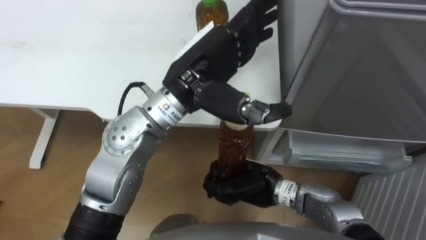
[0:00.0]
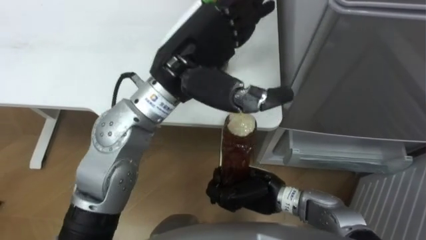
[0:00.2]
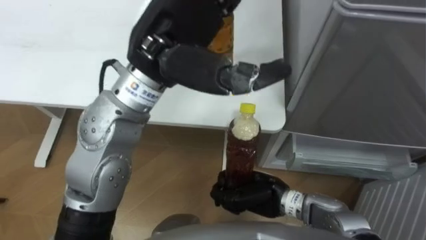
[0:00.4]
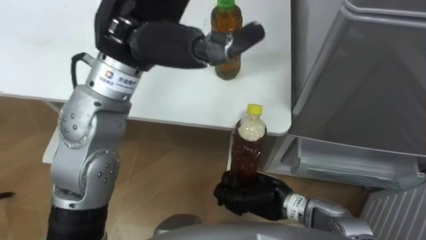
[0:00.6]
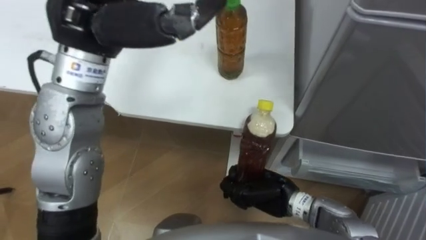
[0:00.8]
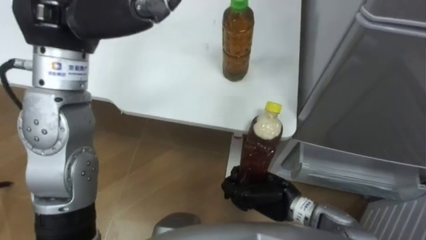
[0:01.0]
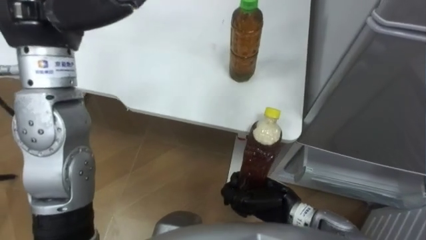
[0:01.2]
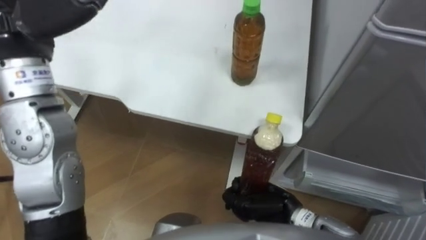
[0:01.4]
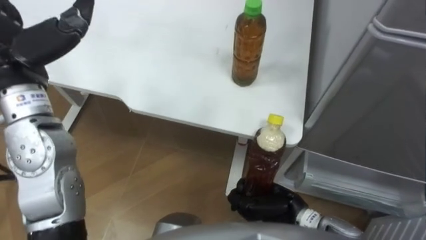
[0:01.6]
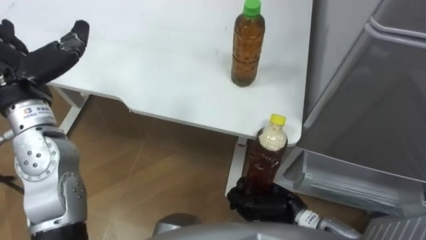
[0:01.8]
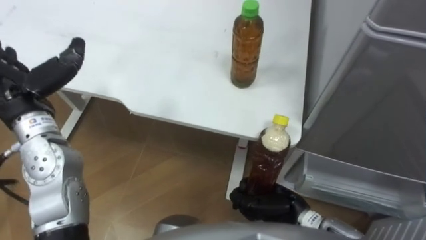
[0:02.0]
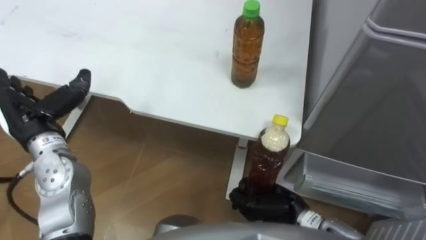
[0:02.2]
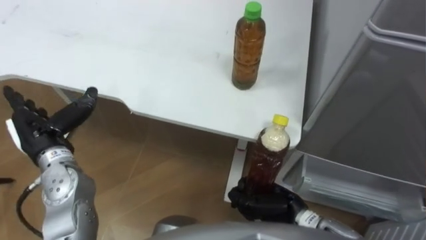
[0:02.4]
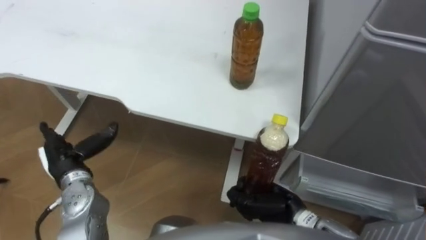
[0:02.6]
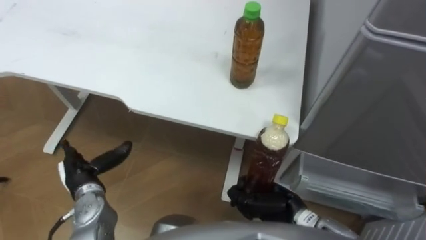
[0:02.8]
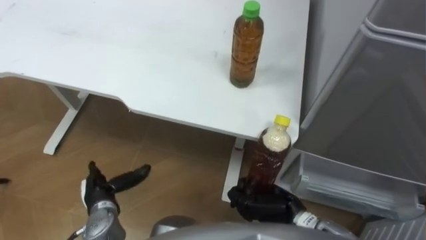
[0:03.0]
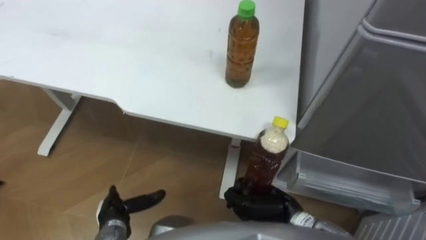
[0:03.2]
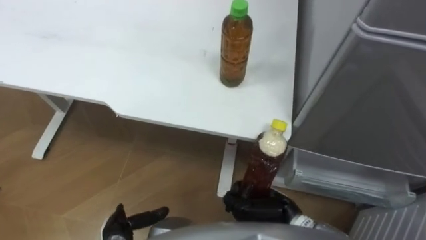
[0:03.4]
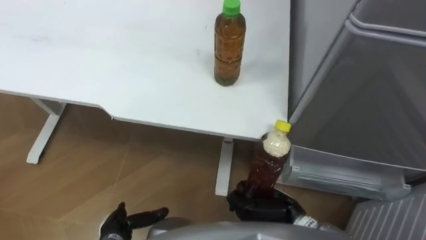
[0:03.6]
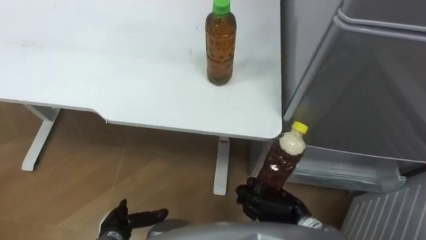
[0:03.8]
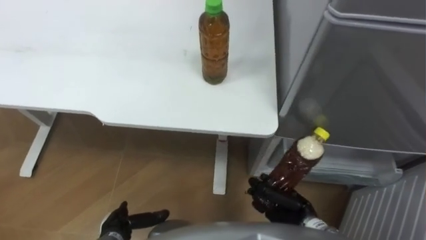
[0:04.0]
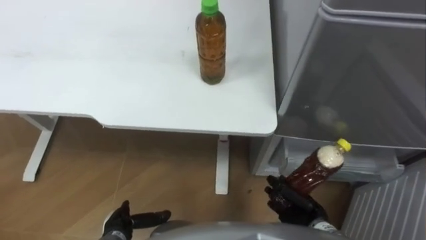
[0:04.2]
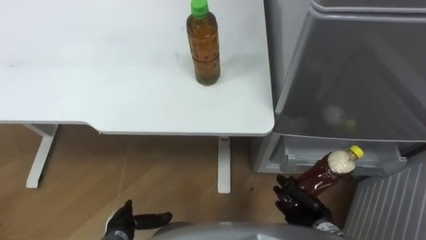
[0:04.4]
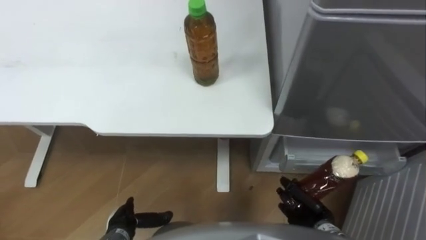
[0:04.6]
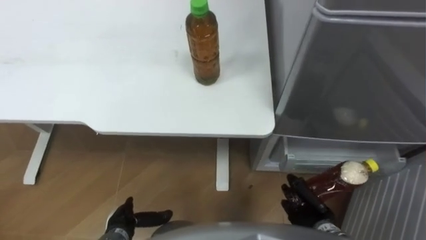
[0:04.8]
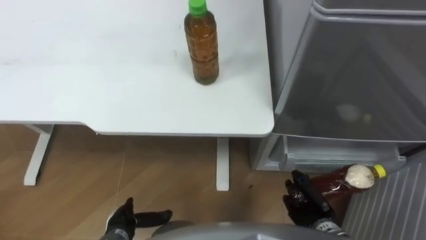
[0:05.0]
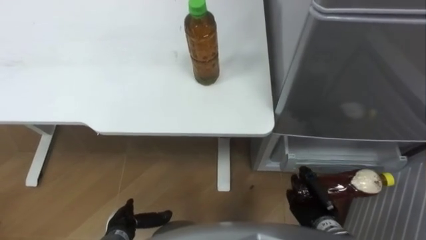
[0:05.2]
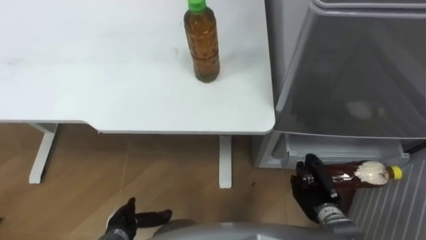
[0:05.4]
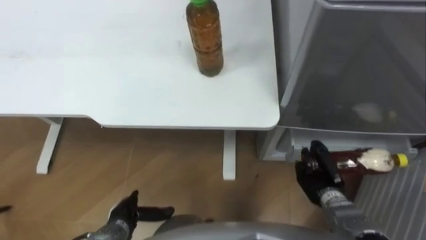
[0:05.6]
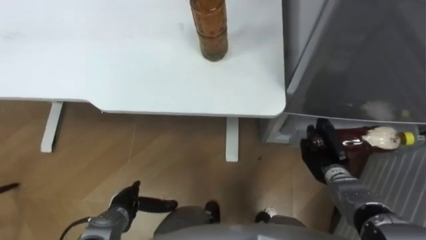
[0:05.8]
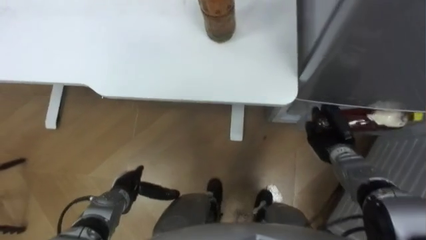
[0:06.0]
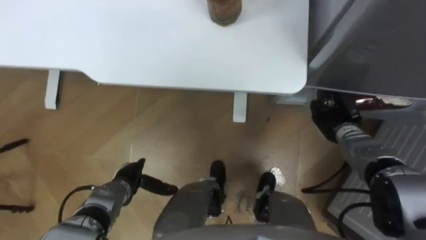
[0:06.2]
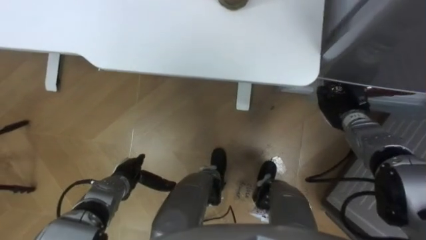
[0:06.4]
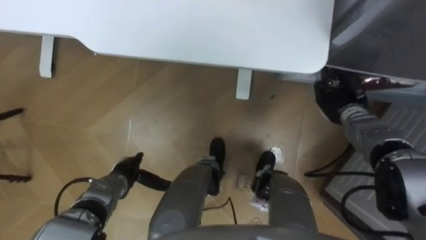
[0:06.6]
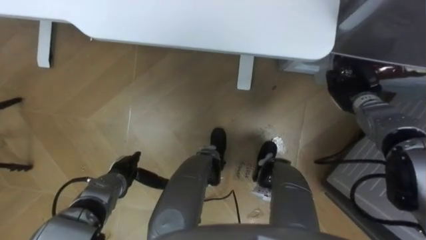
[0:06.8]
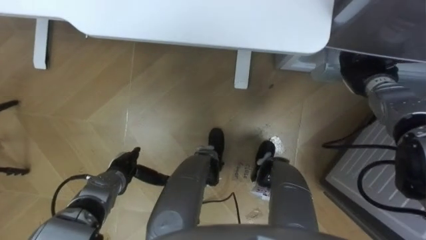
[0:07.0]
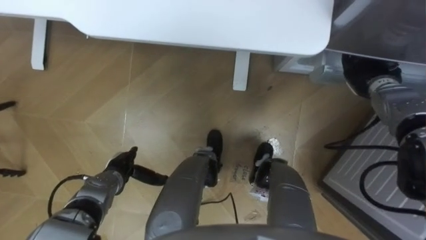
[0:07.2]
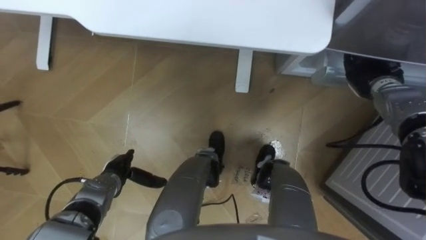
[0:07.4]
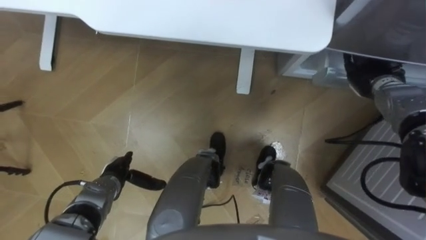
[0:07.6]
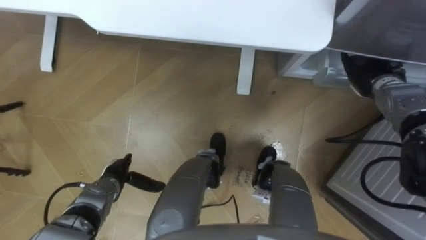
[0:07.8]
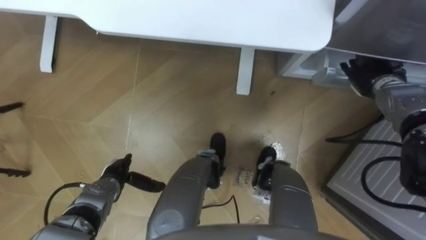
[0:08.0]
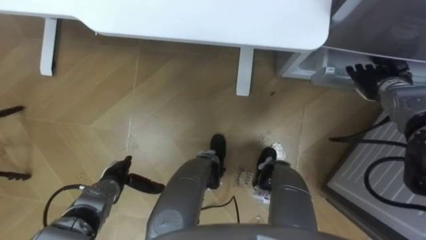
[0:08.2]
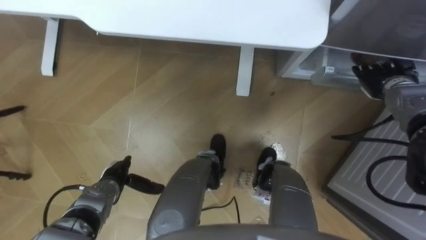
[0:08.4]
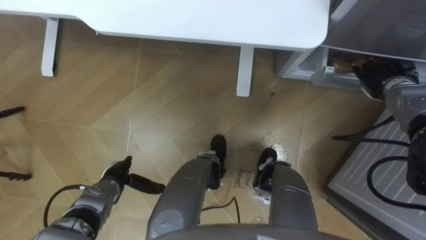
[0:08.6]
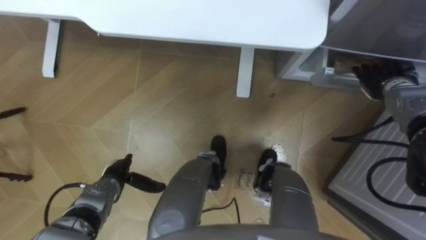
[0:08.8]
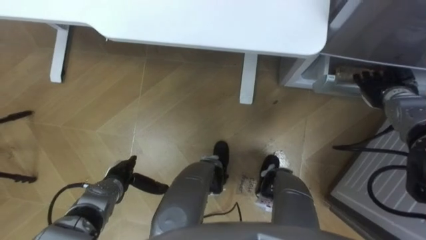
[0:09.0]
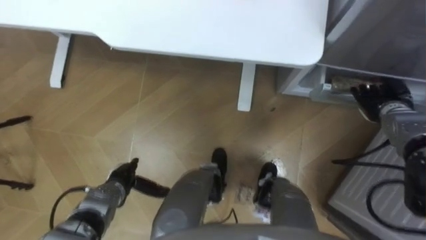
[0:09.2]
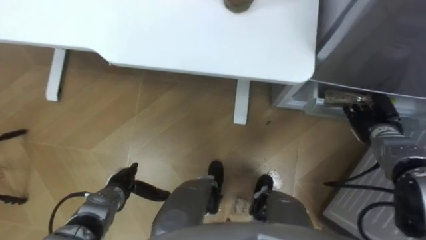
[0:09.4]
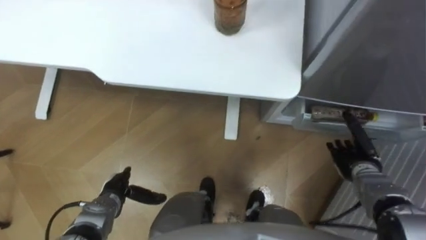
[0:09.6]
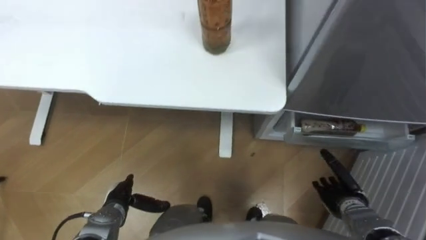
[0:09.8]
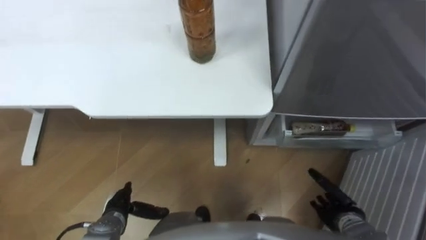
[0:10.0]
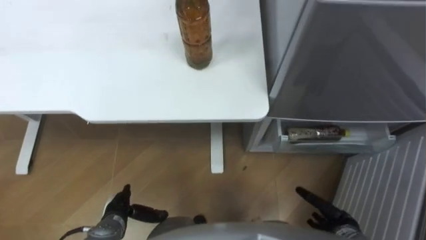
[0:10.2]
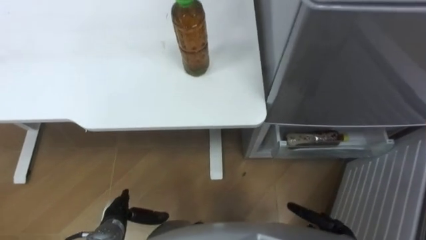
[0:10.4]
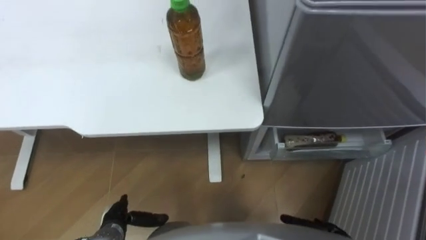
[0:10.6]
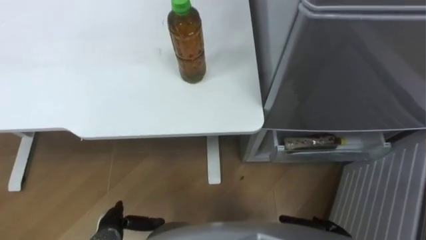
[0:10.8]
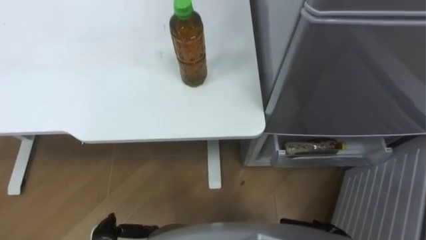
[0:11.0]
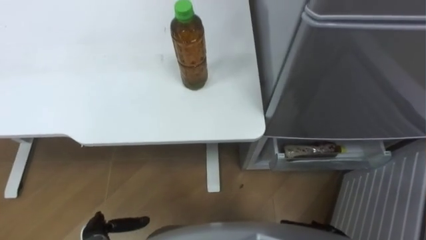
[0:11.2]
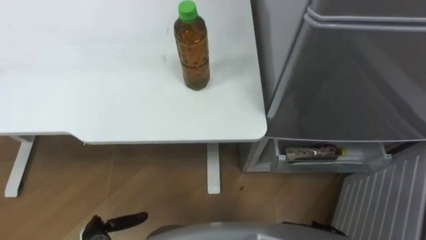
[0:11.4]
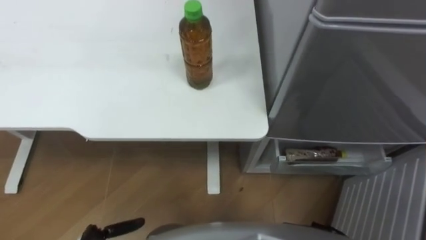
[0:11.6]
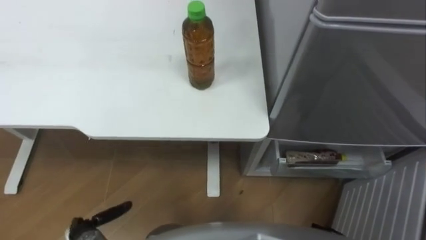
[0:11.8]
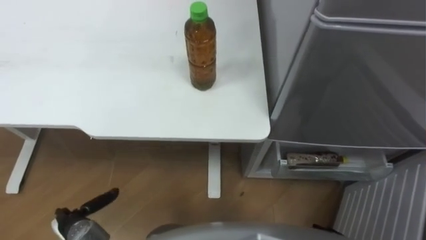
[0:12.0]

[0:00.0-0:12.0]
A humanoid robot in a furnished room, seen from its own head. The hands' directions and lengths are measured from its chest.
Task of the whole recording: Place the drink on the table on the bottom shelf of the refrigerator, then close the drawer and the refrigerator door.
0:00.0 to 0:01.6: The right hand goes about 5 cm to the right.
0:03.0 to 0:04.4: The left hand is displaced backward and downward by some 10 cm; the right hand heads to the right and downward, covering roughly 10 cm.
0:04.4 to 0:06.0: The left hand travels forward by about 10 cm. Meanwhile the right hand heads forward, covering some 15 cm.
0:06.0 to 0:07.6: The right hand moves forward, upward and to the right, roughly 15 cm, and opens.
0:09.0 to 0:10.4: The left hand travels backward by about 10 cm, while the right hand is displaced backward and downward by about 35 cm.

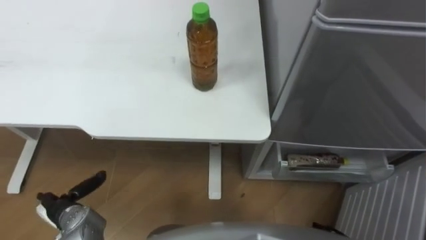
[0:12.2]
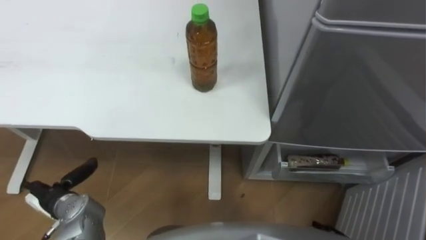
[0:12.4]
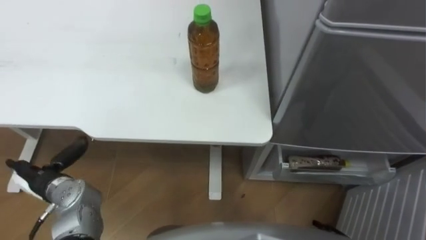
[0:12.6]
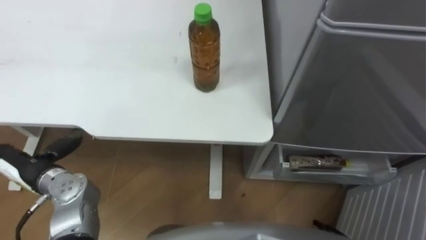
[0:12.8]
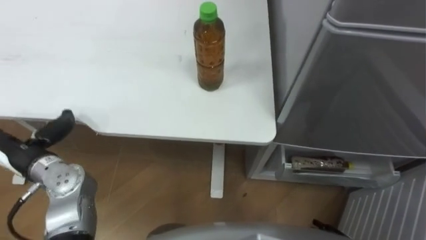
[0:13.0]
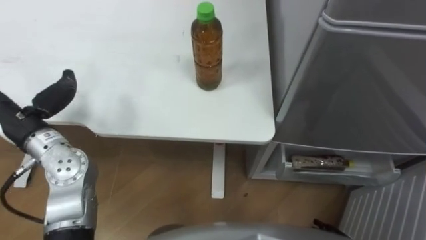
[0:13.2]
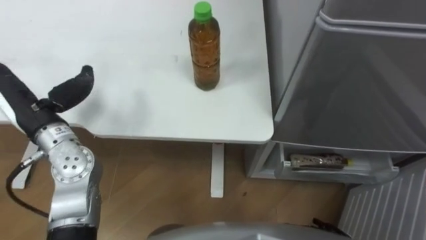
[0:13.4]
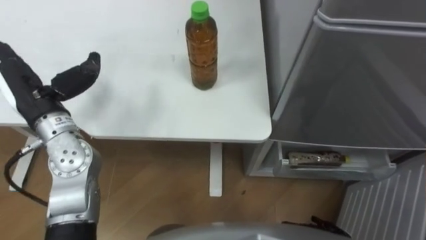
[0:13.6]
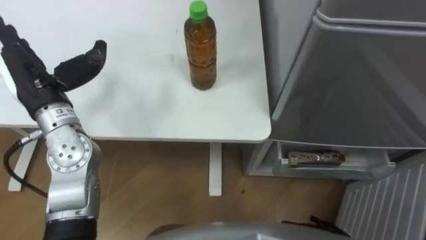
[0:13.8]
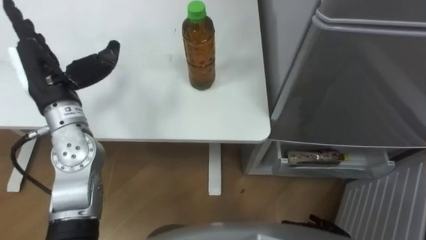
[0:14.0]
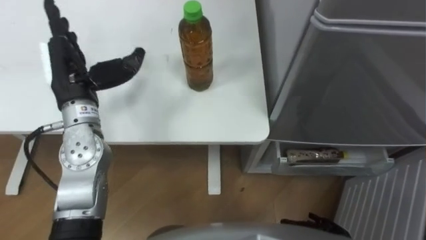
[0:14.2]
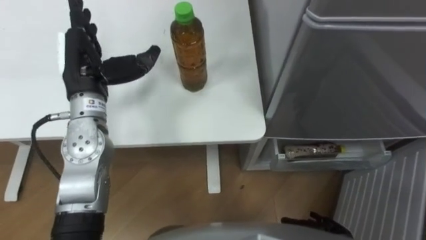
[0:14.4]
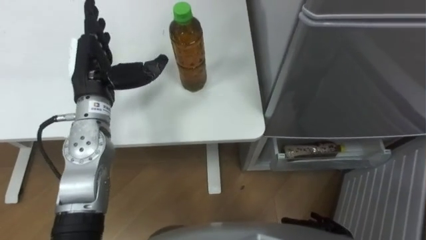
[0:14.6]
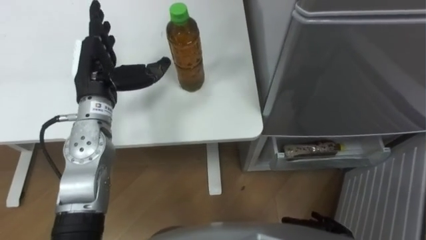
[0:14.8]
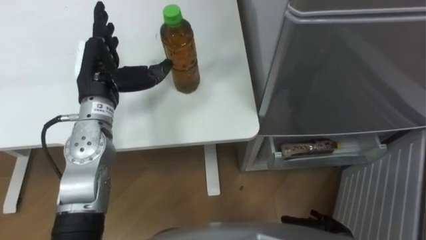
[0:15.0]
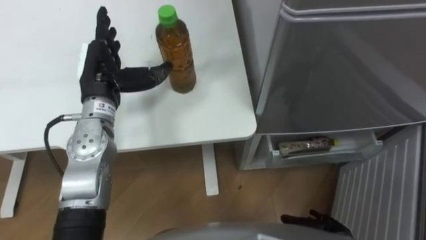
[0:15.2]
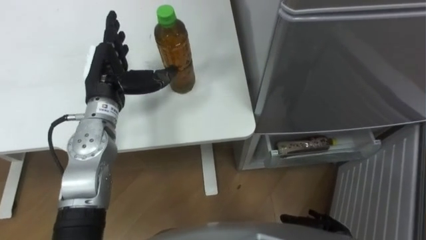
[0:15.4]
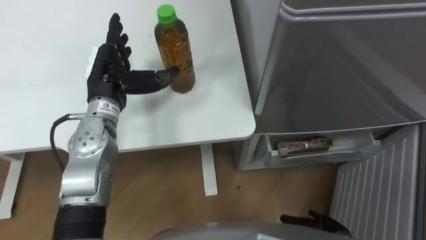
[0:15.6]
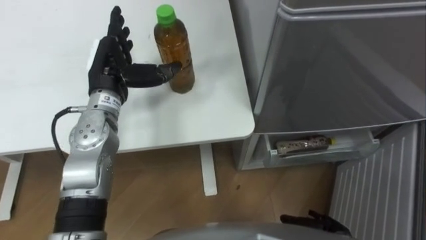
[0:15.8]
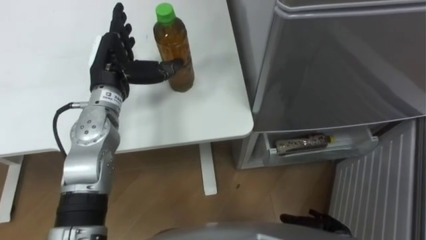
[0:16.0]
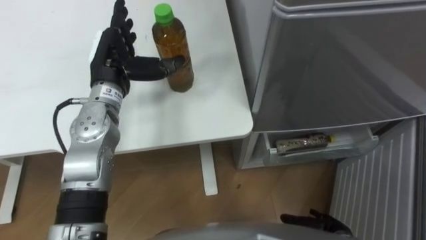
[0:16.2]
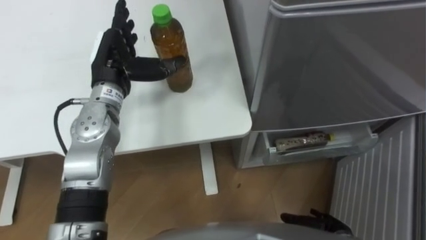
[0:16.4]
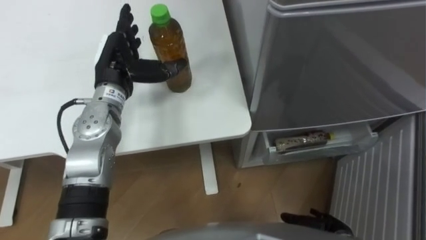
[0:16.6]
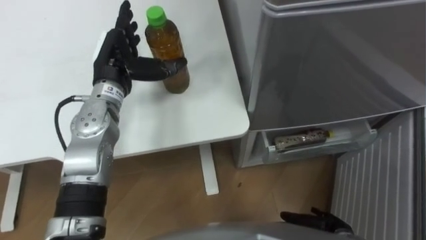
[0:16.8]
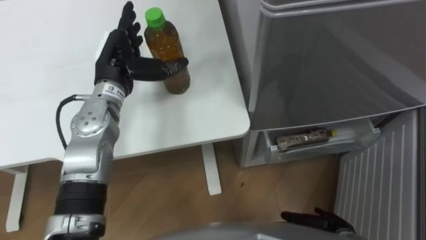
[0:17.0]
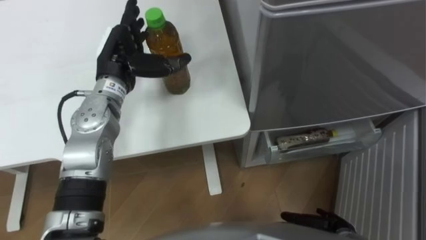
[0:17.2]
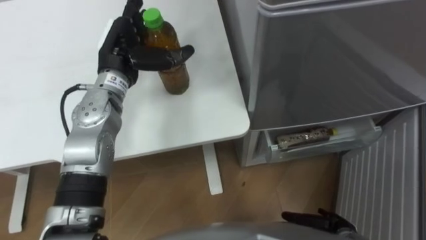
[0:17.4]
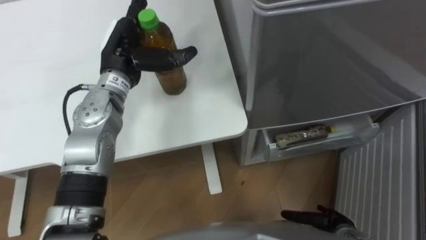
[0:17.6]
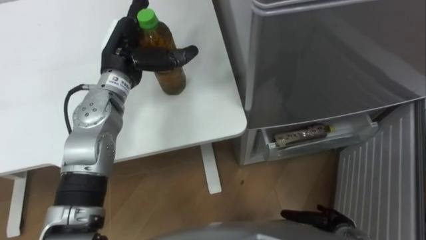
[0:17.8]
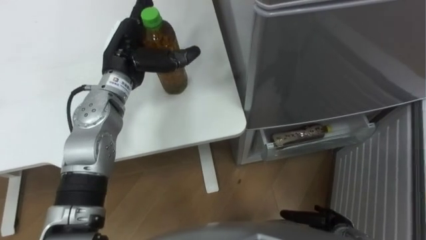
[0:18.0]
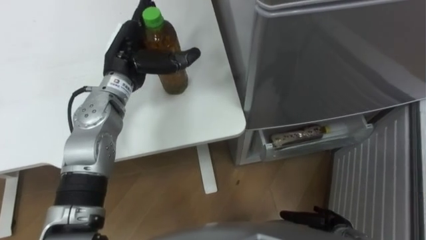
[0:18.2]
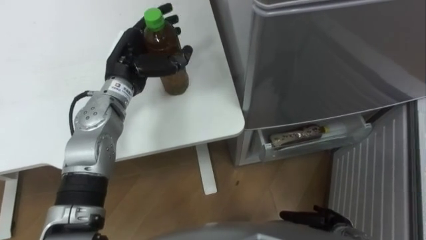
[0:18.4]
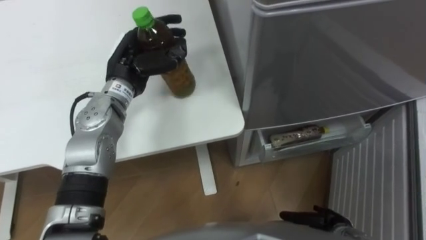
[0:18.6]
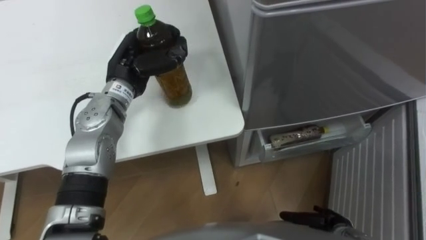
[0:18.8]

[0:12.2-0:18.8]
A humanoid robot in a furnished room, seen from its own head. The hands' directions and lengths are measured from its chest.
Task of the whole recording: Place the drink on the table on the bottom shelf of the refrigerator, then close the drawer and the refrigerator door.
0:12.2 to 0:13.8: The left hand shifts about 30 cm upward and forward.
0:13.8 to 0:15.4: The left hand travels to the right by about 10 cm.
0:17.2 to 0:18.8: The left hand closes.
